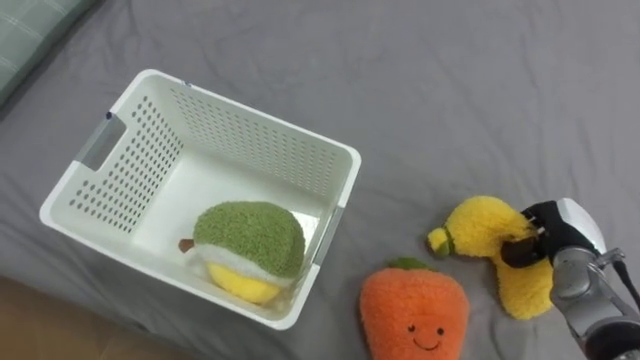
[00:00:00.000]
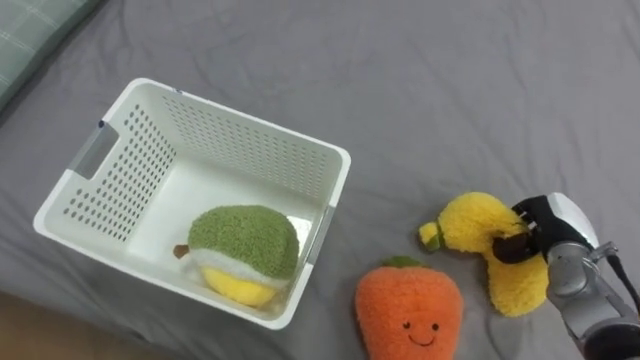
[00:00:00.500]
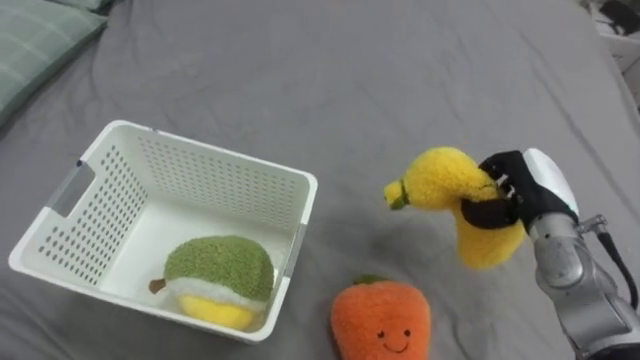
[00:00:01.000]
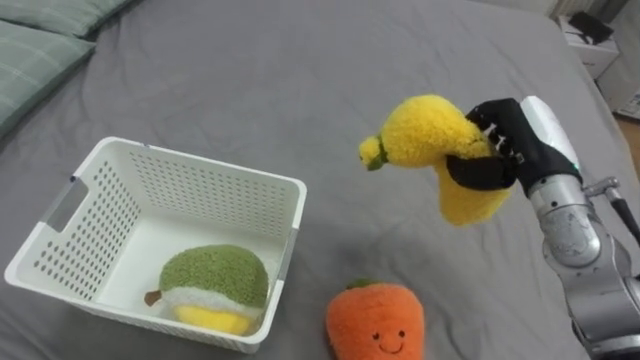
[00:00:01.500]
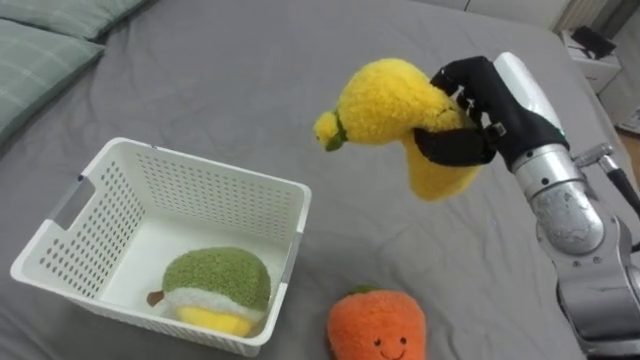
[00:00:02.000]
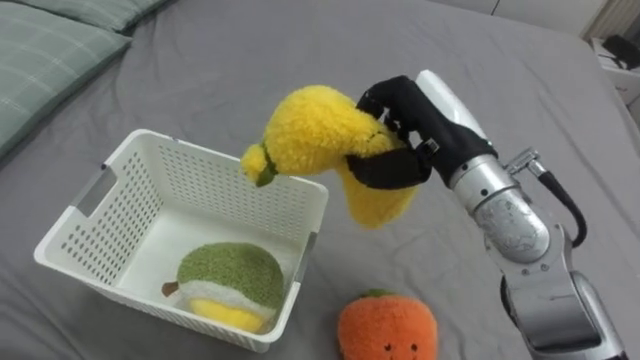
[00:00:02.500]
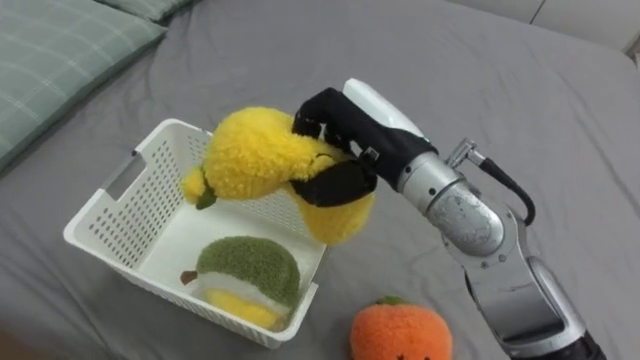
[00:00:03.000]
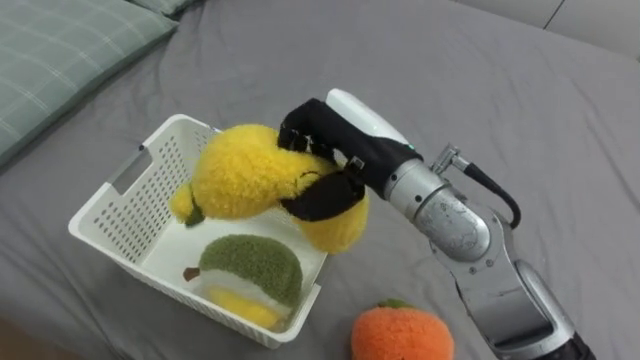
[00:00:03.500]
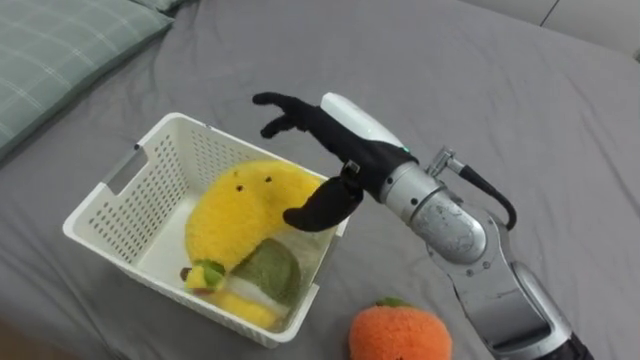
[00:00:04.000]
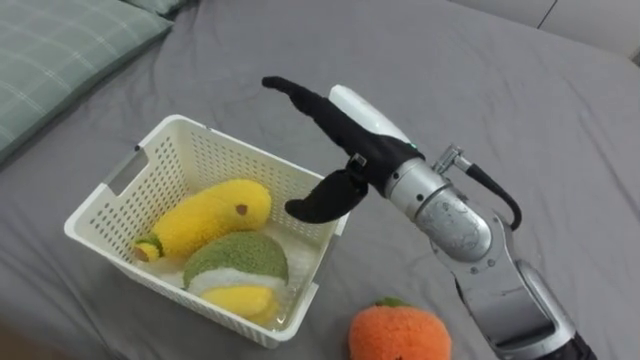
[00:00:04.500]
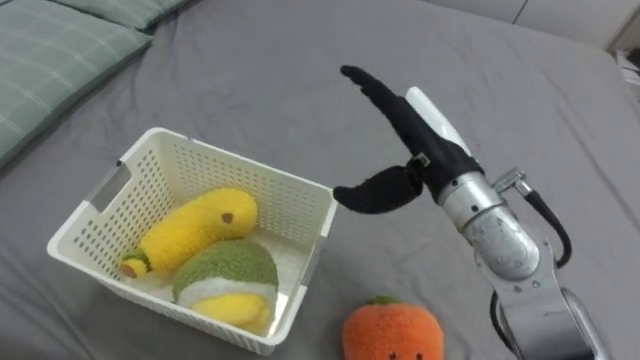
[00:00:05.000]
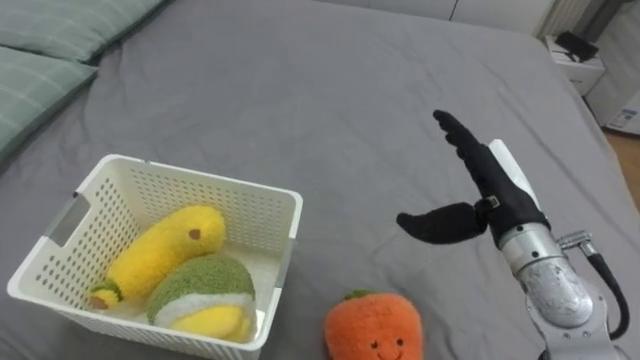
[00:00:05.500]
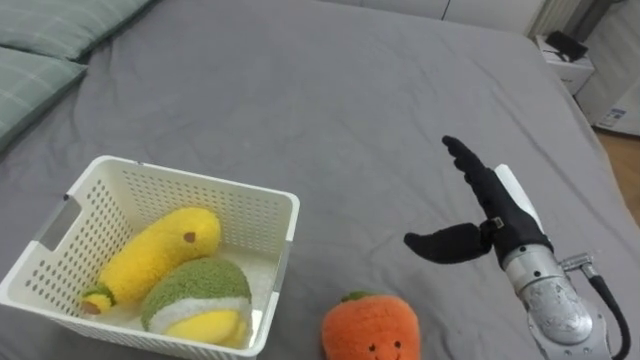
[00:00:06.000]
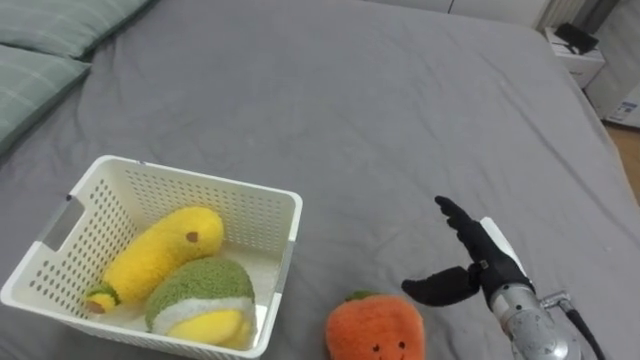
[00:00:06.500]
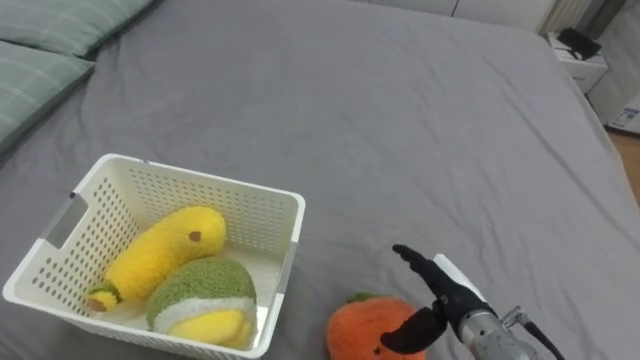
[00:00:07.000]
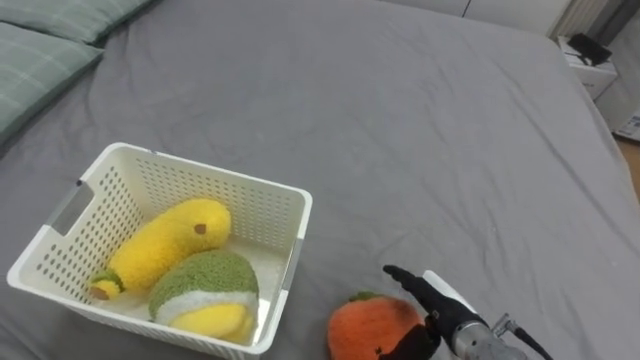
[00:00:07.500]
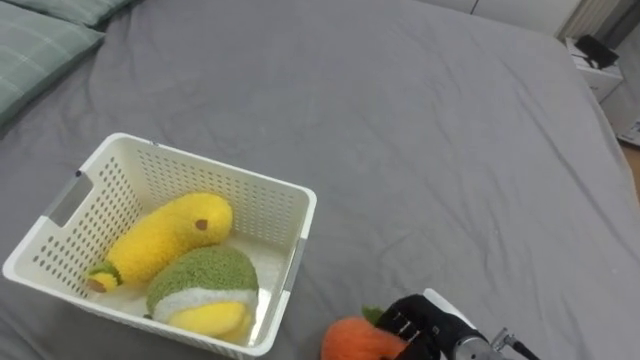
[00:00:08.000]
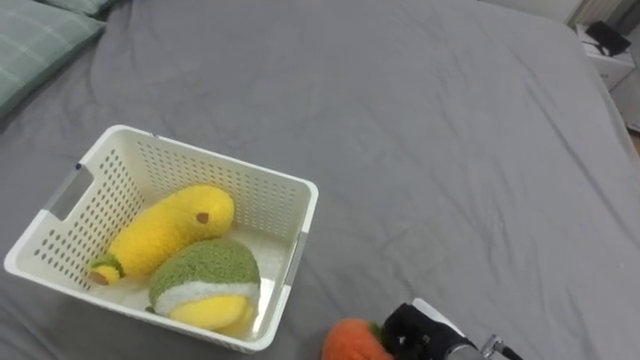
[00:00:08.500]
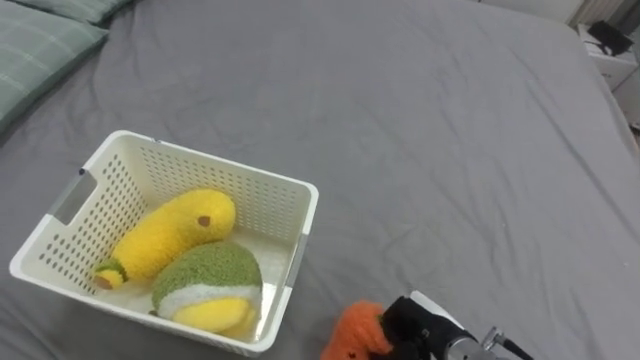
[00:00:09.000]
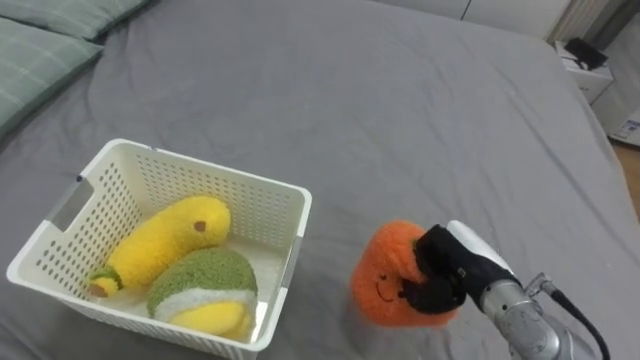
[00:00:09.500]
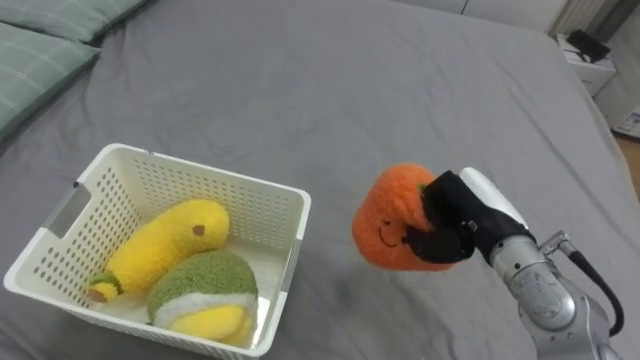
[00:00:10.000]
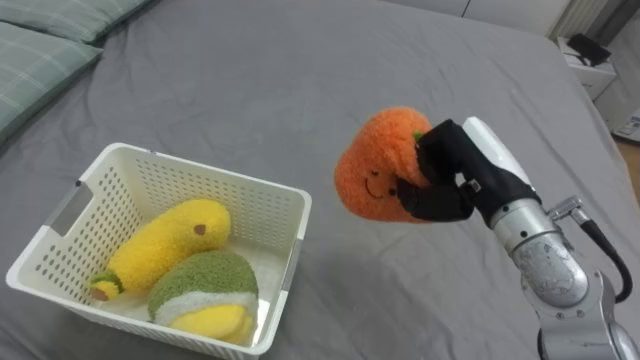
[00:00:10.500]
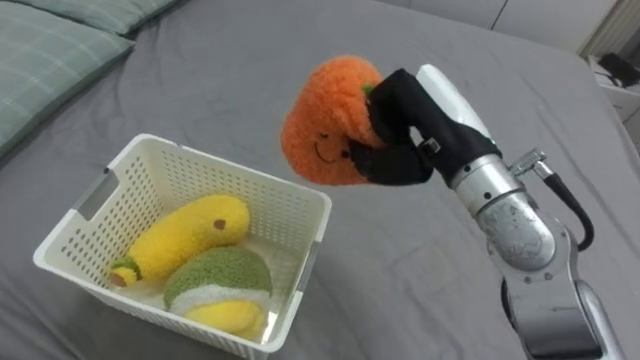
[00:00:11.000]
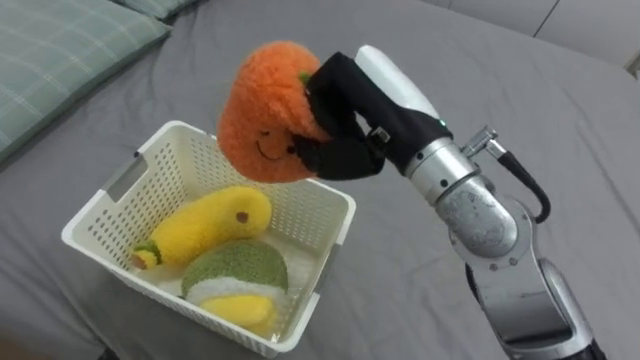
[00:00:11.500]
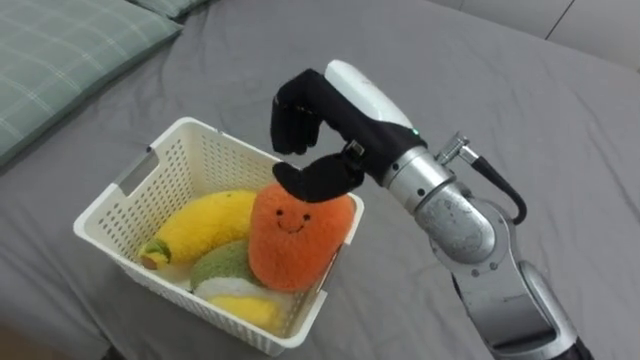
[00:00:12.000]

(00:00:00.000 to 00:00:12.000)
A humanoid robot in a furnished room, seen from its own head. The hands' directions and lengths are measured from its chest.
Task of the whole recording: Put the toys on the bed into the basket on the left.
00:00:00.000 - 00:00:02.000: The right hand goes about 25 cm upward and to the left.
00:00:02.000 - 00:00:04.000: The right hand moves to the left, roughly 15 cm, and opens its fingers.
00:00:04.000 - 00:00:06.000: The right hand travels to the right and downward by approximately 20 cm.
00:00:06.000 - 00:00:08.000: The right hand shifts roughly 20 cm downward and backward, and closes its fingers.
00:00:08.000 - 00:00:10.000: The right hand heads upward and forward, covering some 15 cm, and closes up.
00:00:10.000 - 00:00:12.000: The right hand travels to the left and upward by approximately 20 cm.

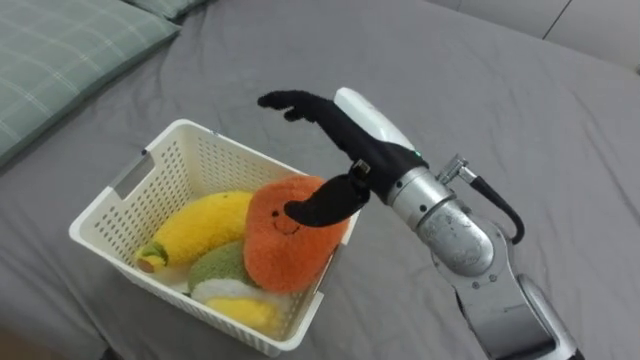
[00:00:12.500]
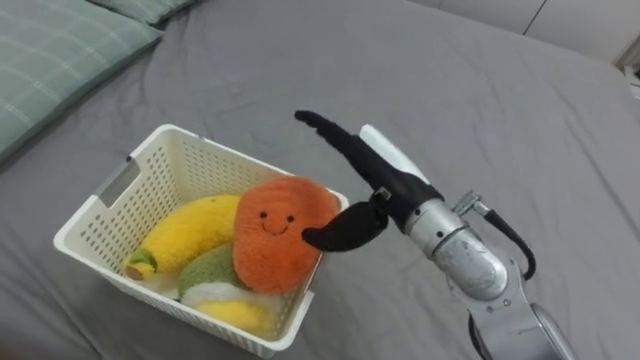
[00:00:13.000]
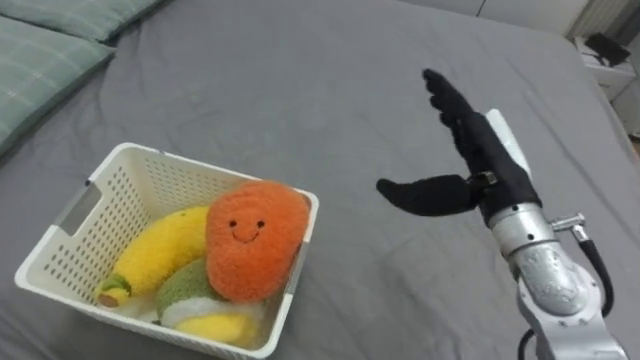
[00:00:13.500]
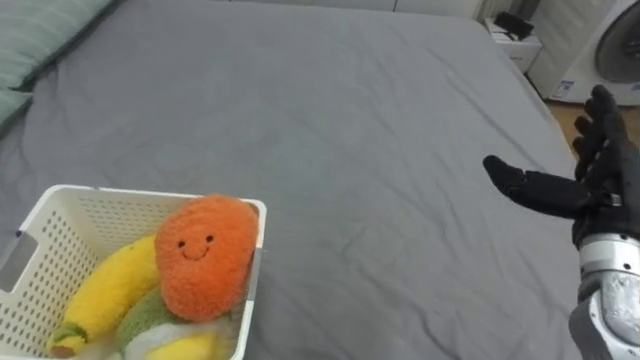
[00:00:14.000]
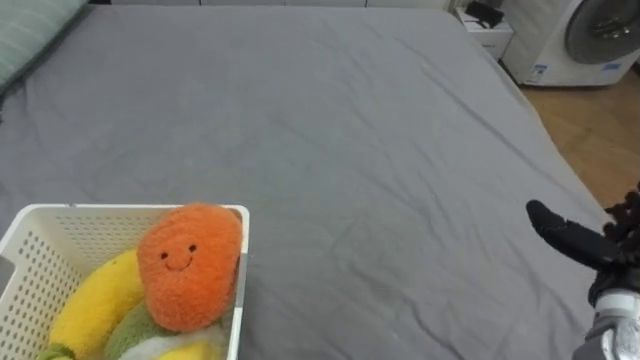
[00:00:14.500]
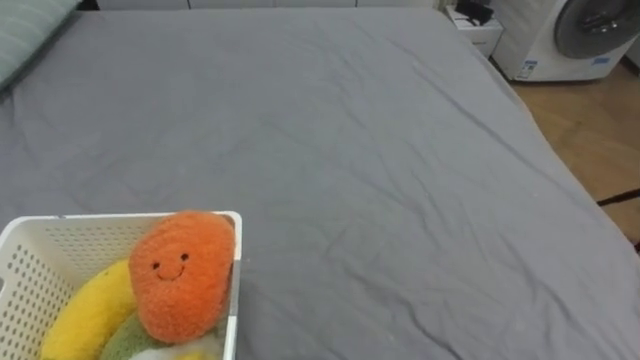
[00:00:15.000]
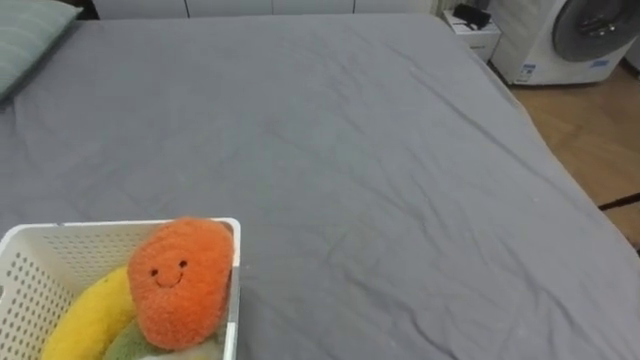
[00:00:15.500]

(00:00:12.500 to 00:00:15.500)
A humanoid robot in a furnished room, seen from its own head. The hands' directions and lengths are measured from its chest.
Task of the whole recording: Put the toys on the bed into the basket on the left.
00:00:12.500 - 00:00:14.000: The right hand is displaced to the right by approximately 25 cm.

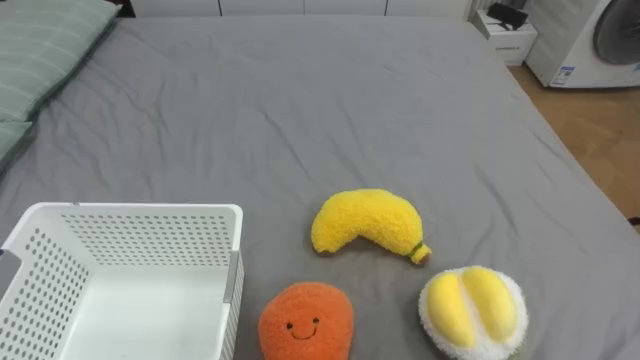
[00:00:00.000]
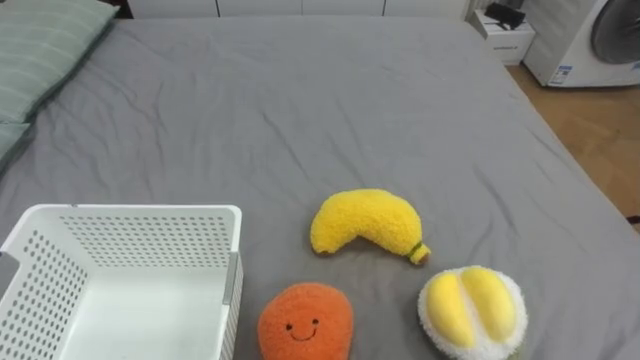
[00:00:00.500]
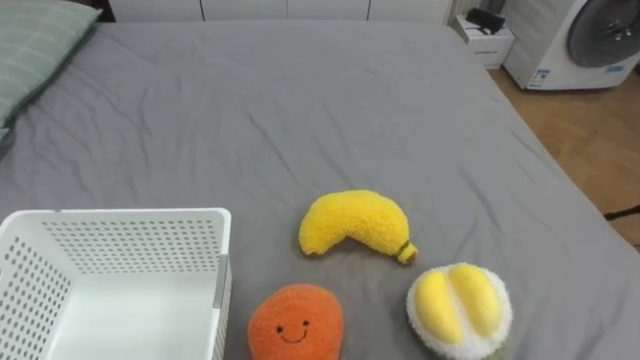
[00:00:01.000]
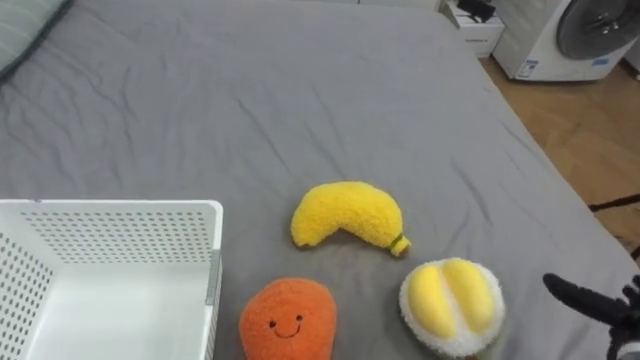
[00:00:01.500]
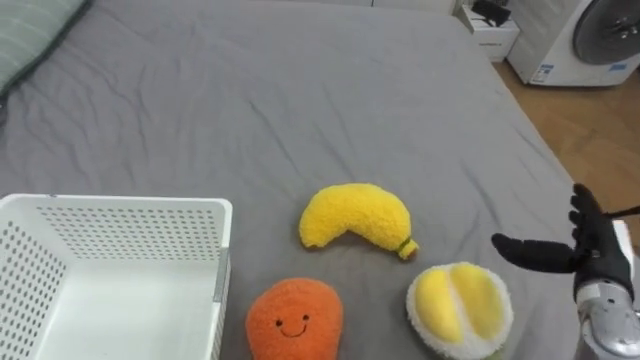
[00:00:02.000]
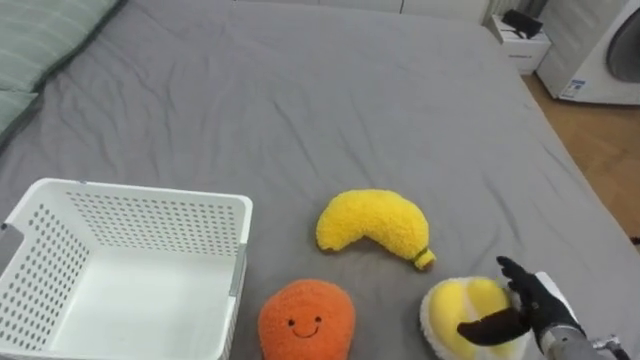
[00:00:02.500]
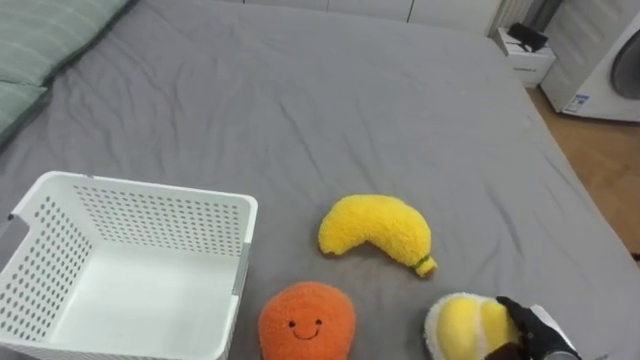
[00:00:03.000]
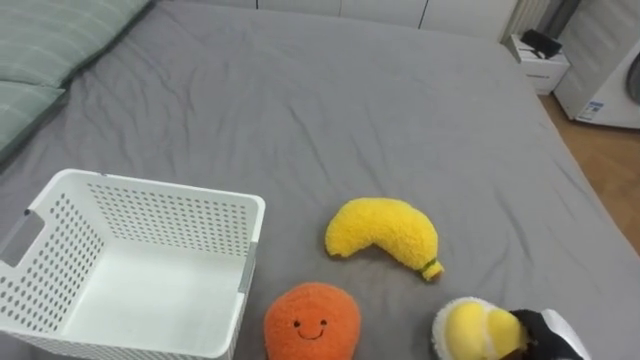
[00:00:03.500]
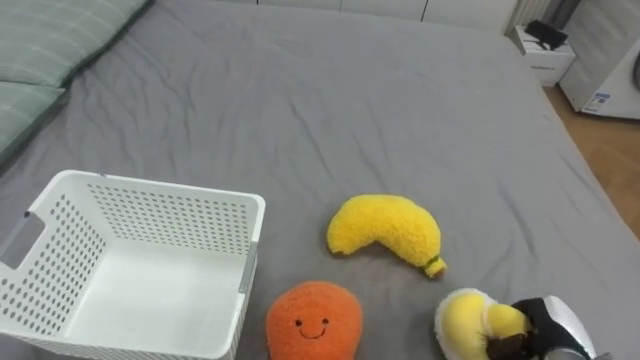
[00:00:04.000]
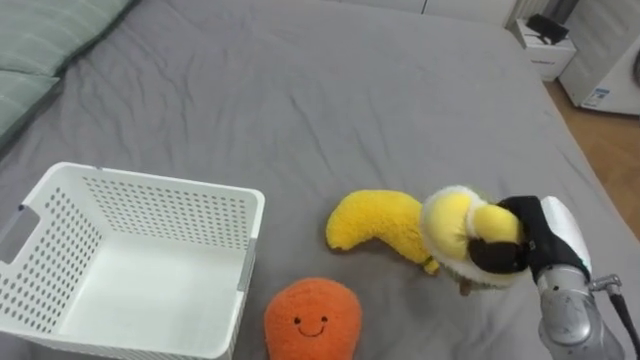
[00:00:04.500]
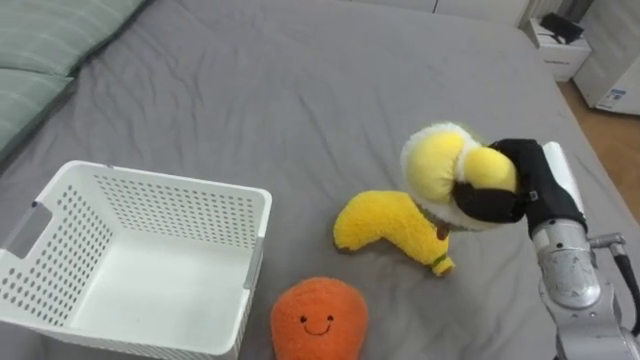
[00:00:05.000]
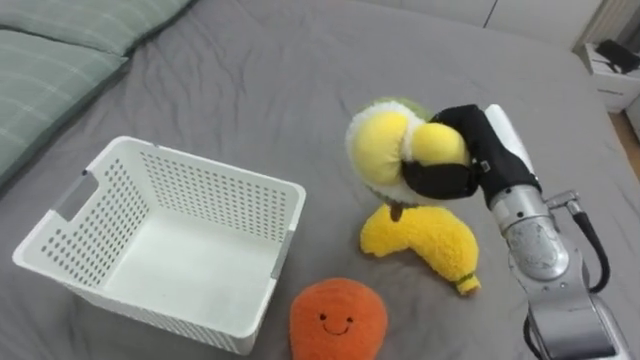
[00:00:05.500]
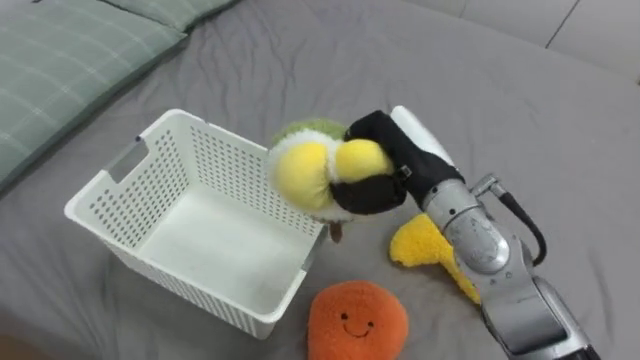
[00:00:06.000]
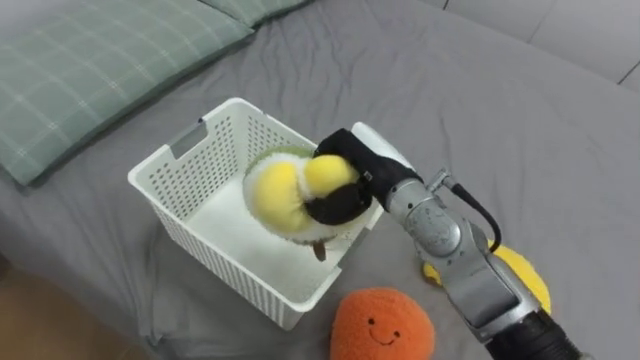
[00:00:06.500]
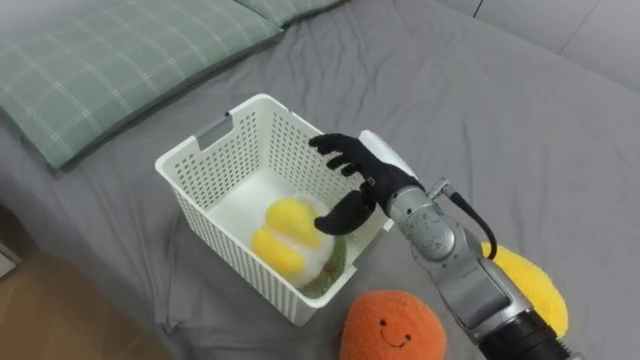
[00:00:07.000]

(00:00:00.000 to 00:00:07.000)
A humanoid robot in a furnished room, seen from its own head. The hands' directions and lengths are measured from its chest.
Task of the whole recording: Put the toys on the bed into the basket on the left.
00:00:02.000 - 00:00:03.500: The right hand heads downward and backward, covering roughly 15 cm.
00:00:03.500 - 00:00:05.000: The right hand travels upward and forward by approximately 25 cm, and closes up.
00:00:05.000 - 00:00:07.000: The right hand shifts approximately 20 cm to the left, and opens up.
